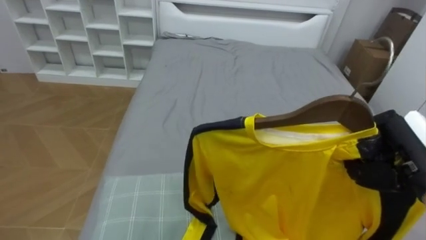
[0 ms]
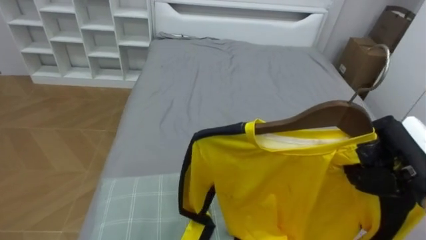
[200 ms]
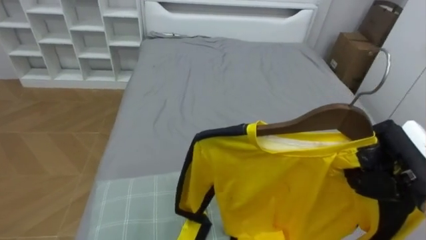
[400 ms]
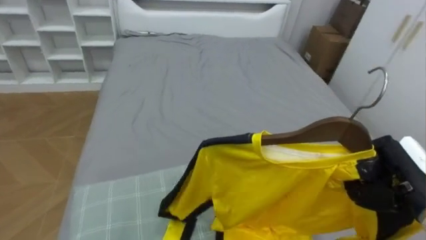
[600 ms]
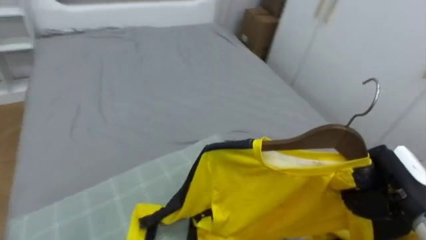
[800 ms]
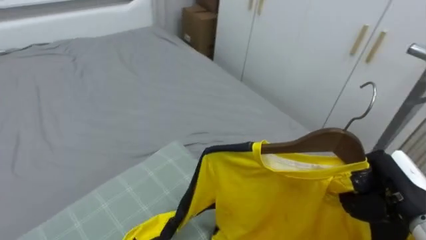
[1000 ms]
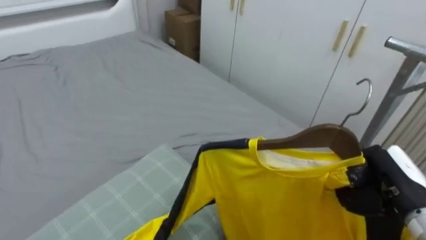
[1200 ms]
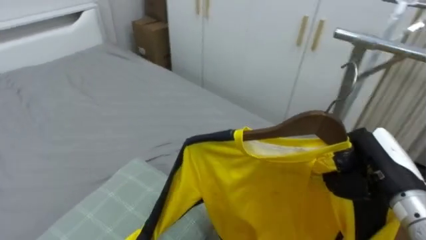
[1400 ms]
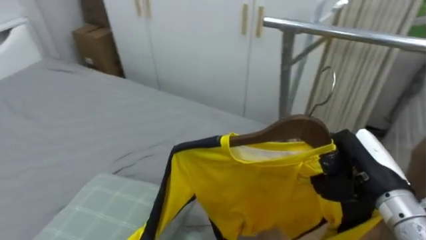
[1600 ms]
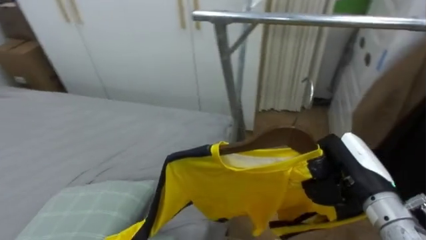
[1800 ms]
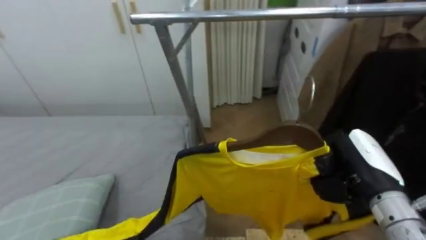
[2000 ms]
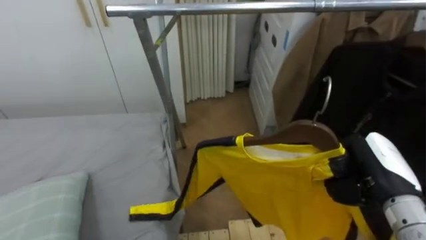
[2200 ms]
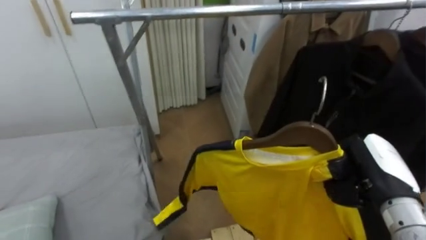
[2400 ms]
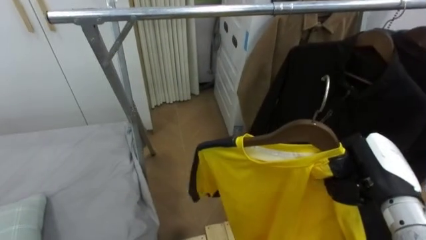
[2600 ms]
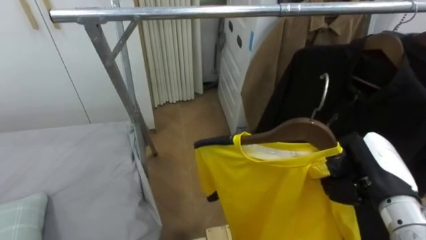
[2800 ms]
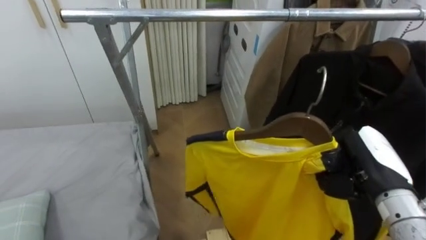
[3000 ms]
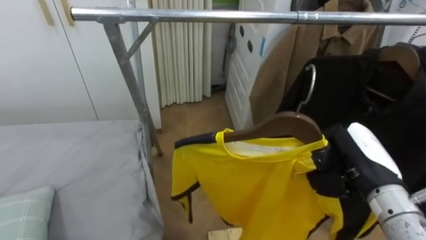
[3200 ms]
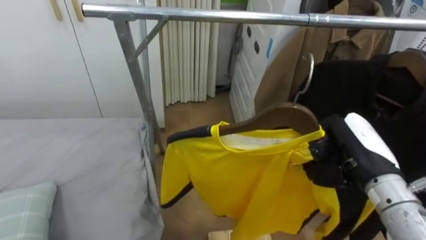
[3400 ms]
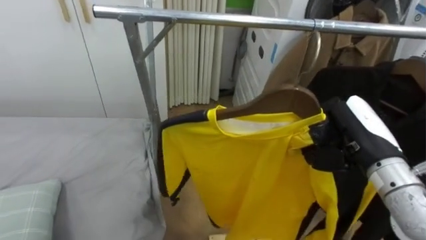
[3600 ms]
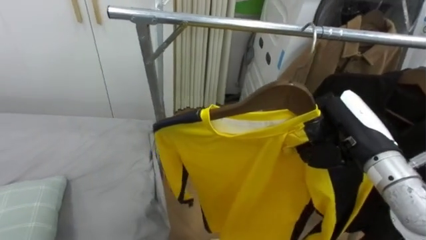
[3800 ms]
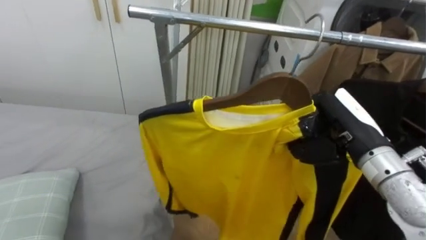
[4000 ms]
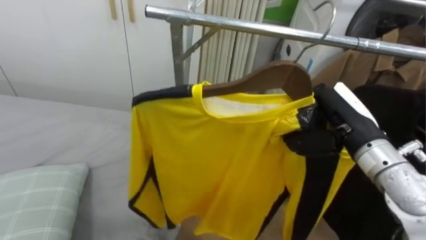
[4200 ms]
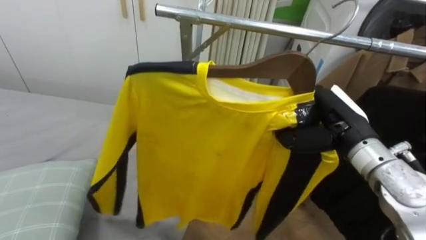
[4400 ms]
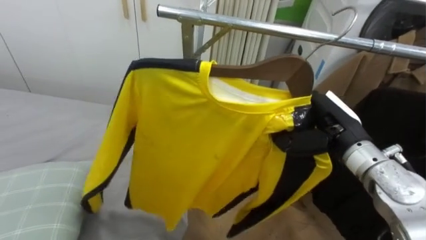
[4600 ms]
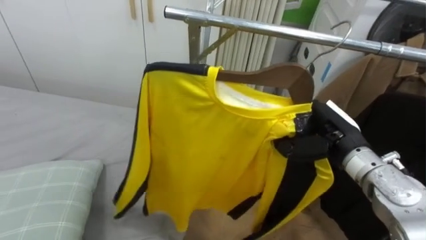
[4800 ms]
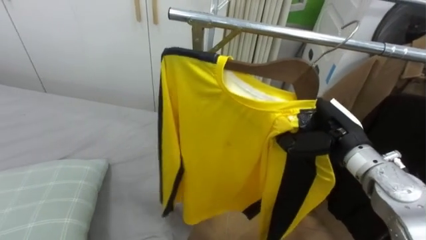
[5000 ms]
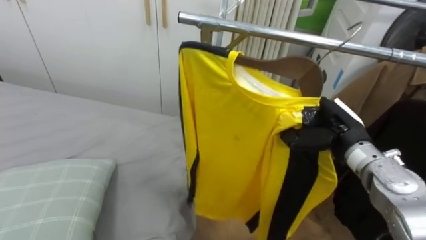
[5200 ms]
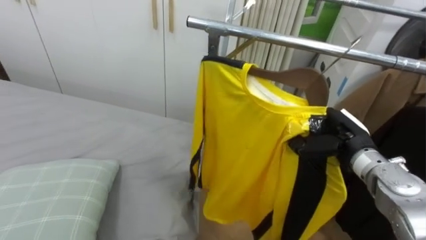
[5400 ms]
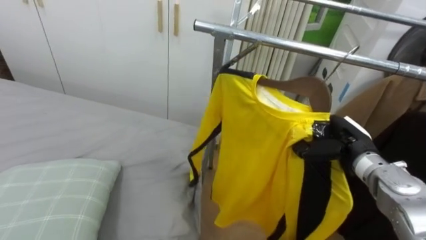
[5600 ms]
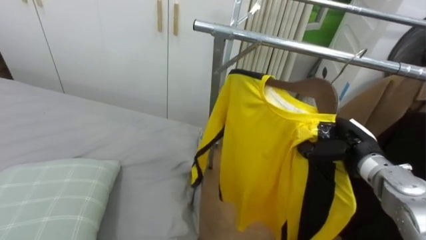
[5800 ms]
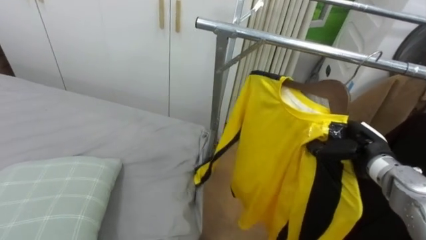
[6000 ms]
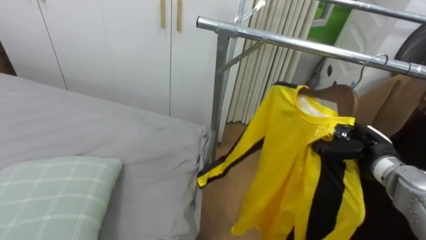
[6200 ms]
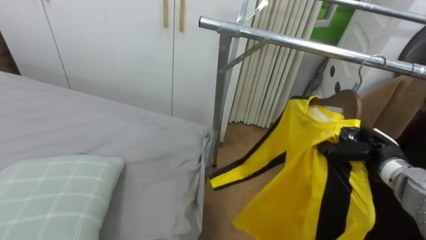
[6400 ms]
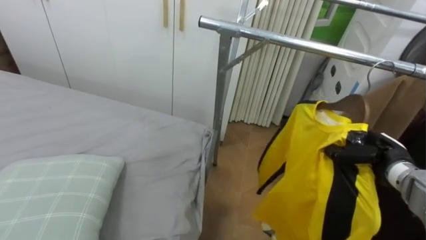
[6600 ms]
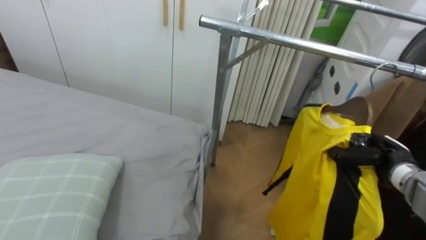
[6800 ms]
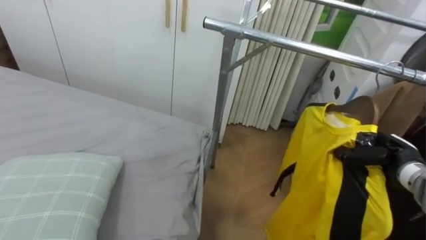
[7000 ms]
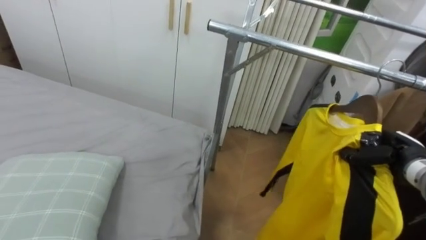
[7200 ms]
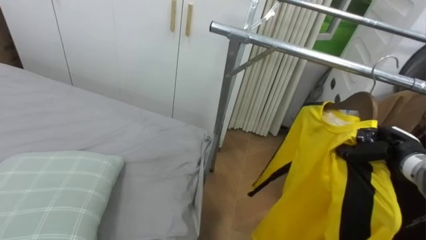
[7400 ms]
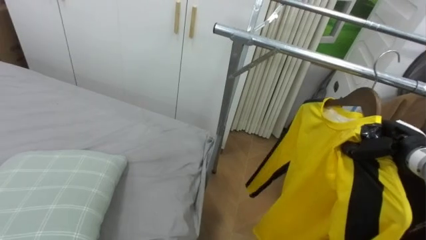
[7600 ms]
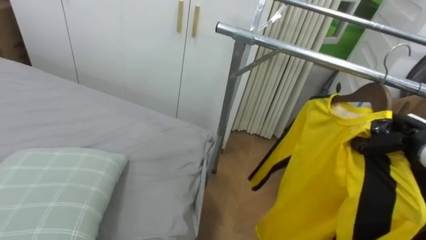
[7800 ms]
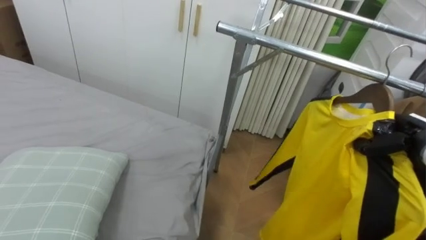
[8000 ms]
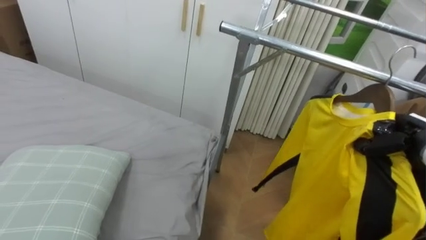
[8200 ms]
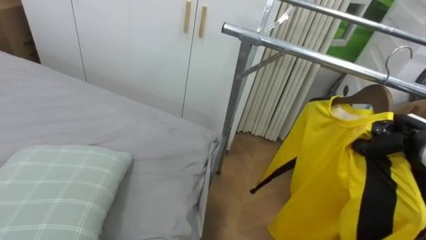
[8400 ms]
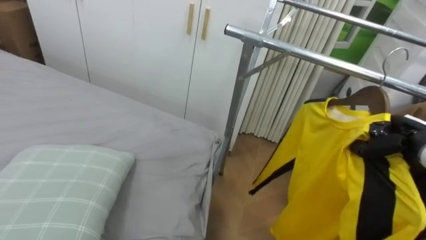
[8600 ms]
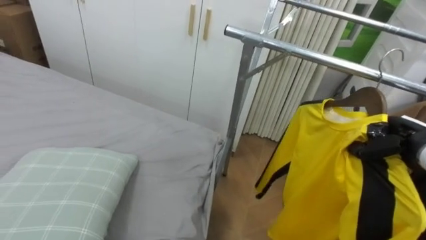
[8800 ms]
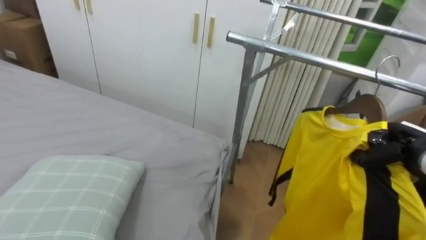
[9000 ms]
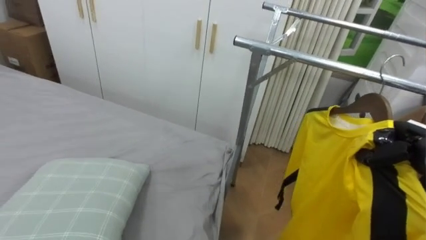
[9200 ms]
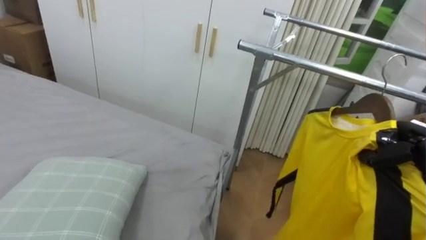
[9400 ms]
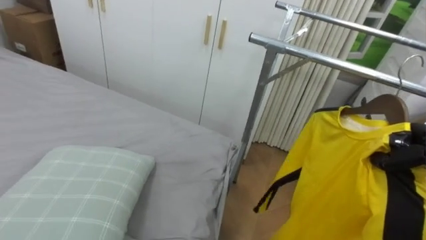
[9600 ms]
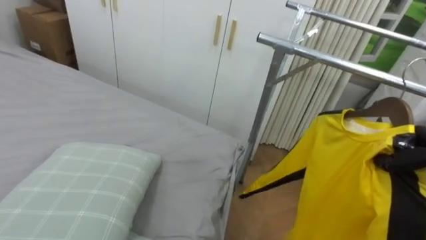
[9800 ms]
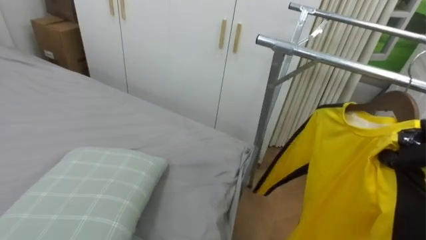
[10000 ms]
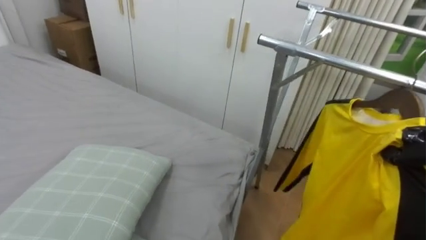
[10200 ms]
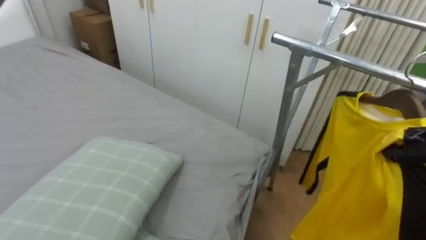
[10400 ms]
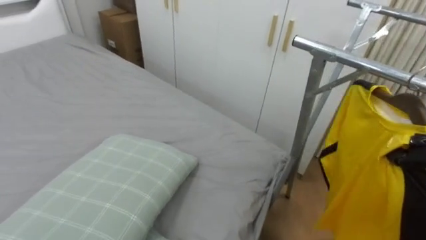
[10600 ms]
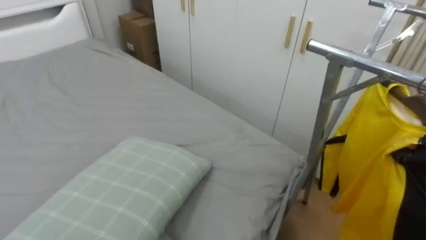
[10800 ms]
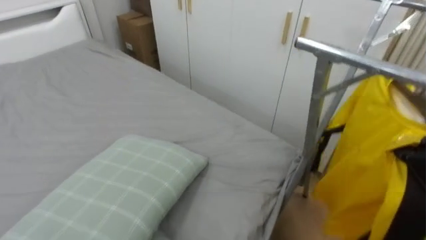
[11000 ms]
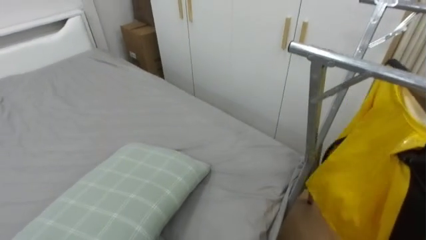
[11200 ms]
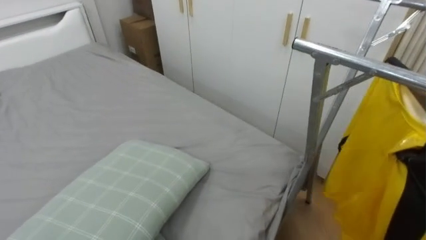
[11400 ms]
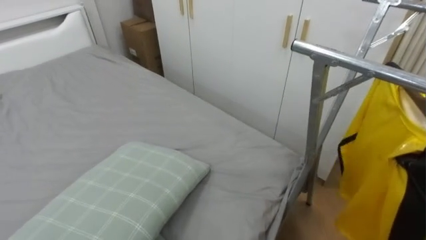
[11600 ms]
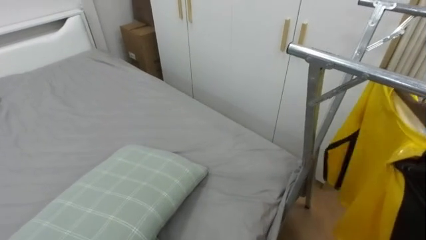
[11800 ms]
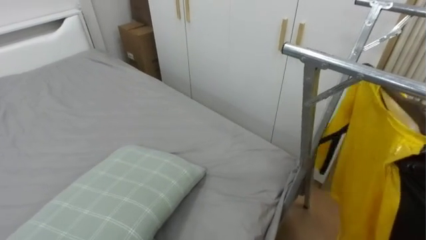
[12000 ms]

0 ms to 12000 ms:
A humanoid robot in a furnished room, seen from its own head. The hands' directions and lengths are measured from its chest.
Task of the whole recording: Pick up the yellow shirt on the bed and hang it on the clothes rack on the right.
0 ms to 1600 ms: The robot's body swings roughly 55 degrees to its right. The right hand changes place by about 5 cm.
1600 ms to 3000 ms: The robot turns to its right by approximately 45 degrees.
3000 ms to 4400 ms: The right hand goes approximately 10 cm forward and to the left.
4400 ms to 6000 ms: The right hand travels downward and to the right by roughly 10 cm.
6000 ms to 7600 ms: The right hand shifts some 5 cm to the right.
9000 ms to 10400 ms: The robot's body swings roughly 15 degrees to its left.

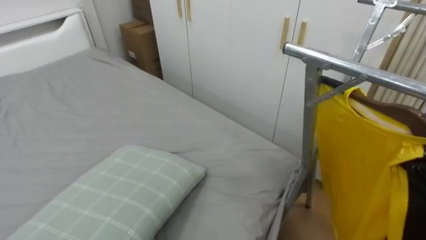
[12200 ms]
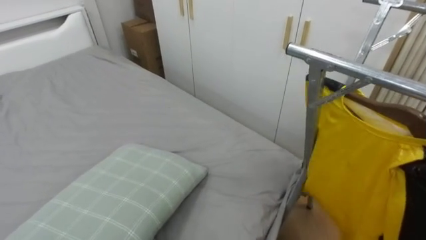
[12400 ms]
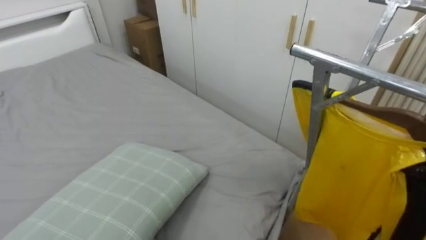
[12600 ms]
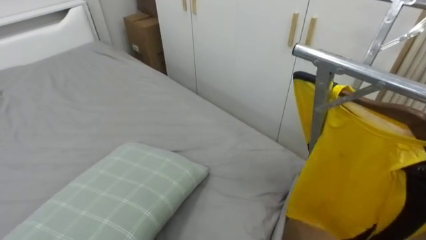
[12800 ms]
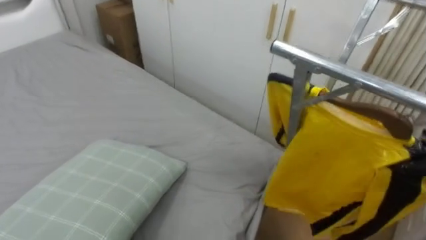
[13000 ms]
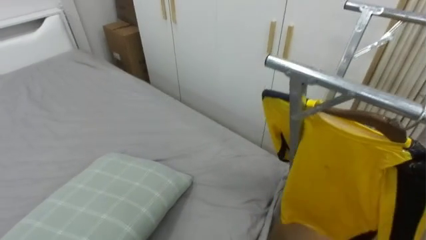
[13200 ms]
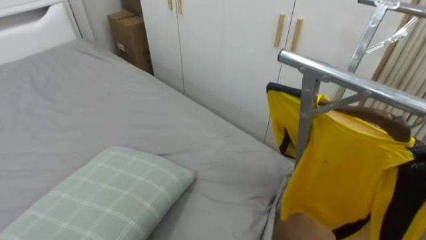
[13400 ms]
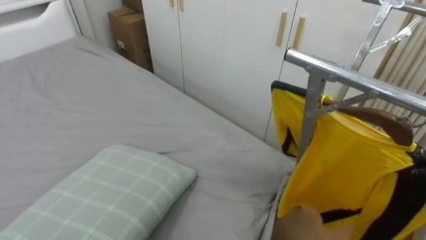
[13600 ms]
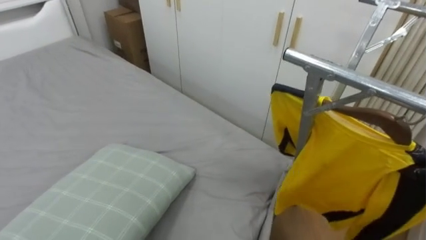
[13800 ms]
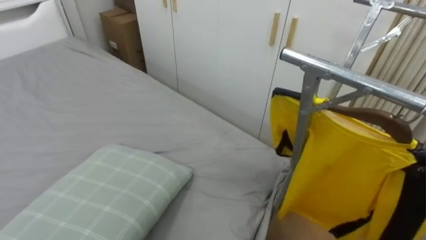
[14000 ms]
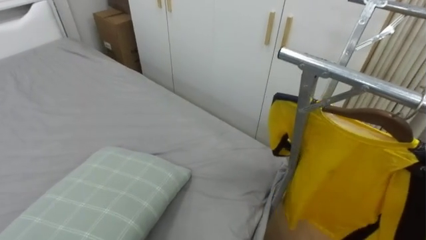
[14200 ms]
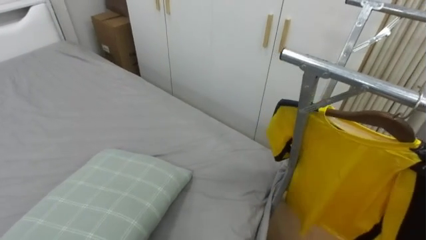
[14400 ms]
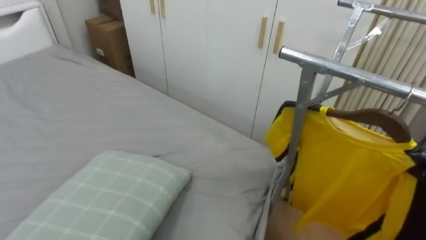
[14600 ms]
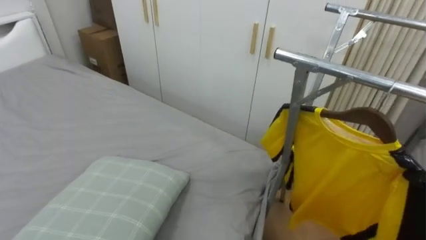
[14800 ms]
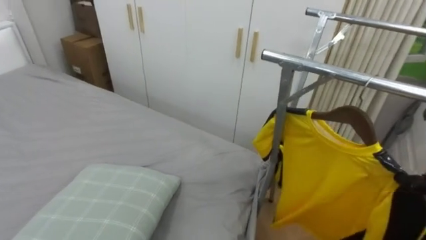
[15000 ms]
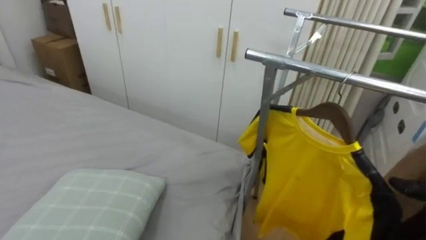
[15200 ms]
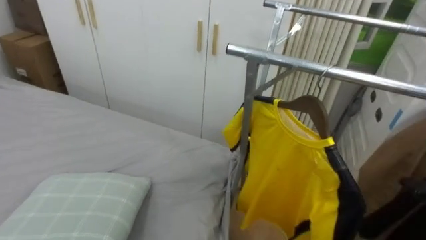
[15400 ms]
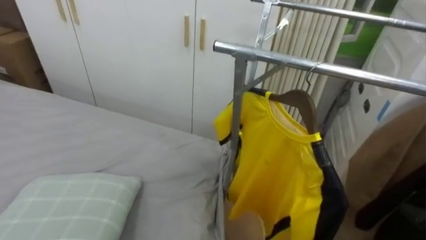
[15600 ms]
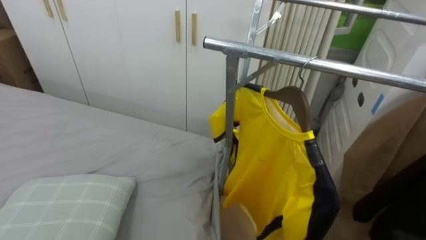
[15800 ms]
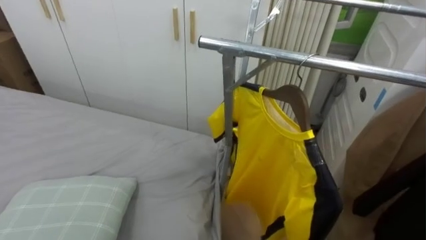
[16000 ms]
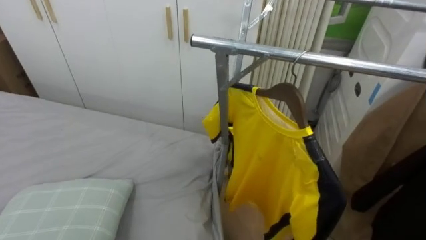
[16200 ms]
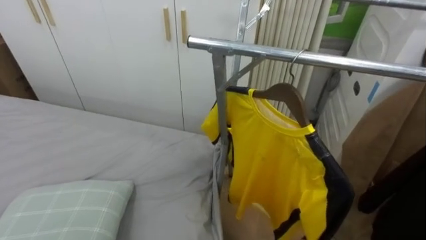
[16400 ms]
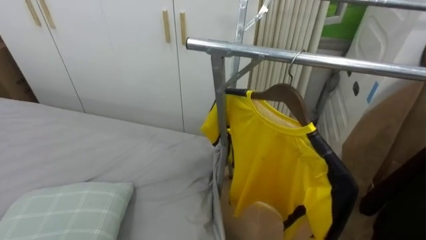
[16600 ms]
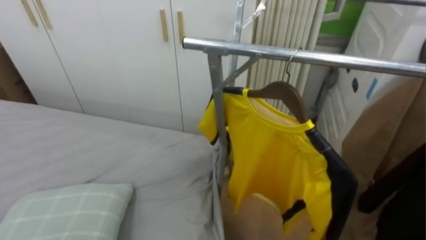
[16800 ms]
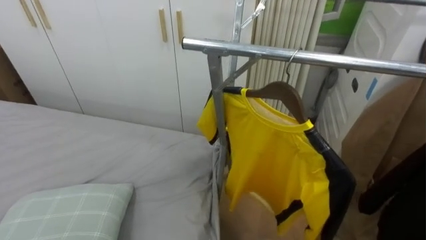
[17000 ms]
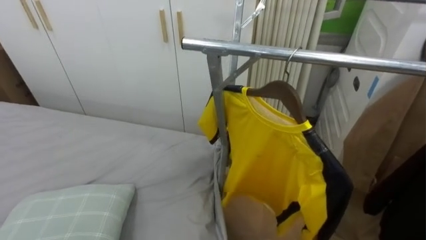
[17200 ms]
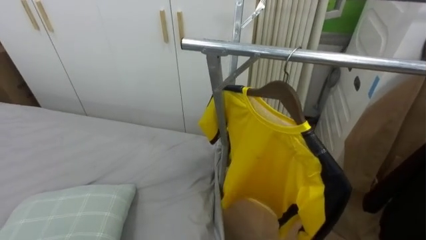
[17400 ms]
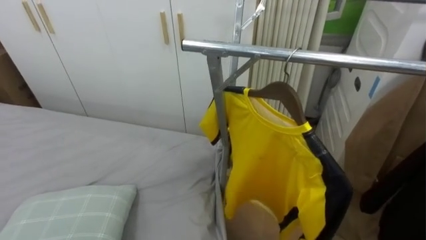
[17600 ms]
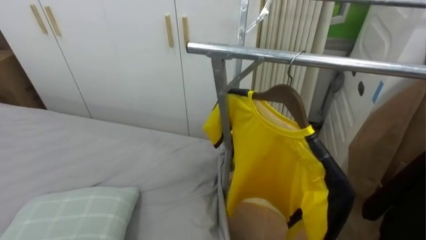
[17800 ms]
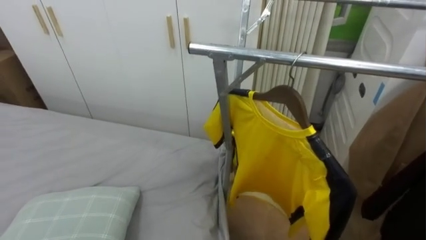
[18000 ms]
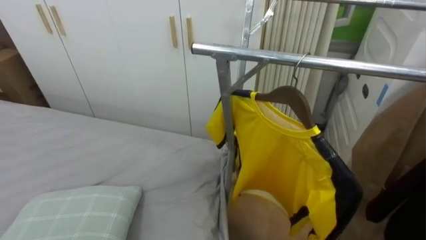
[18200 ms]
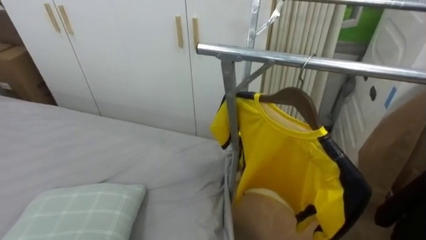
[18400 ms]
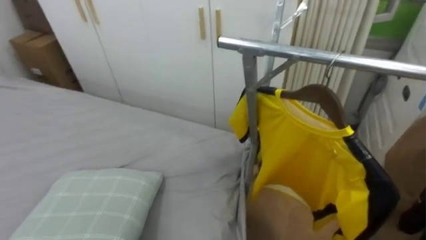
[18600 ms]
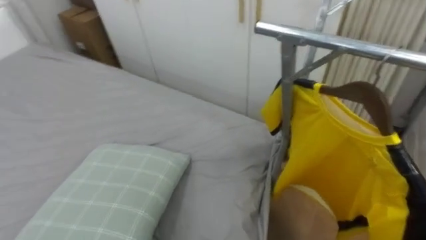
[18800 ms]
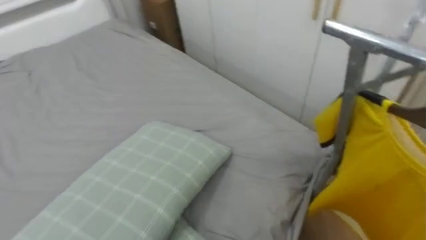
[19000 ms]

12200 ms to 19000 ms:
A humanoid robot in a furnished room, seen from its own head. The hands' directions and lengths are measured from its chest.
Task of the whole recording: Pick up the yellow shirt on the bed and hang it on the clothes rack on the right.
17600 ms to 19000 ms: The robot rotates approximately 25 degrees to its left.
